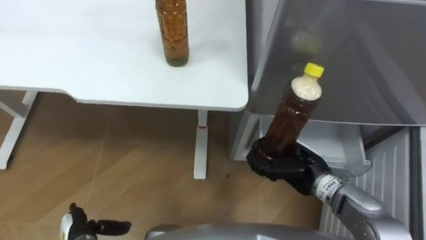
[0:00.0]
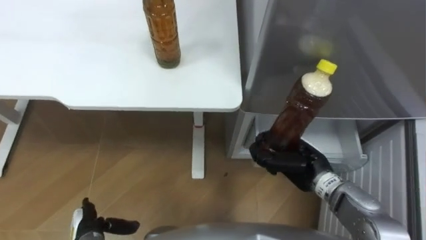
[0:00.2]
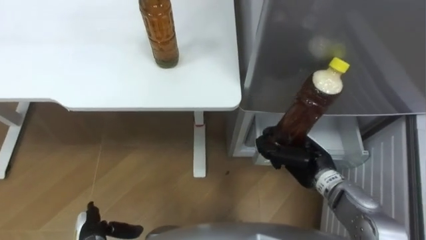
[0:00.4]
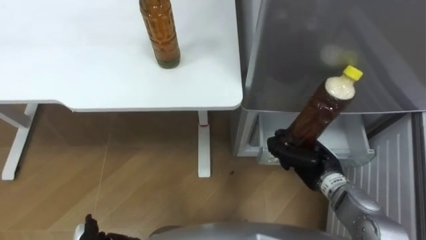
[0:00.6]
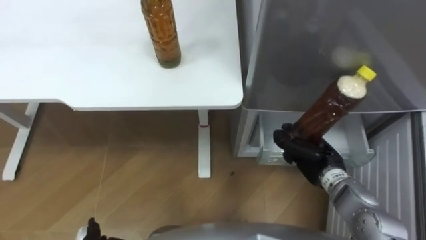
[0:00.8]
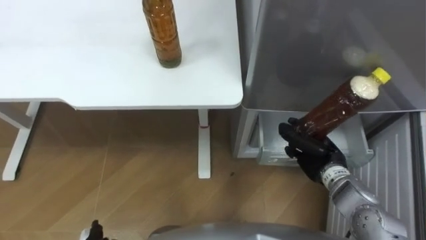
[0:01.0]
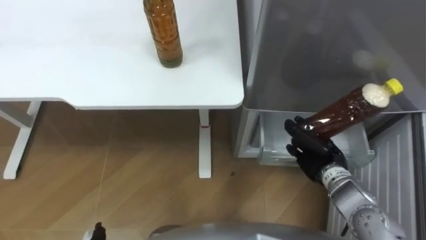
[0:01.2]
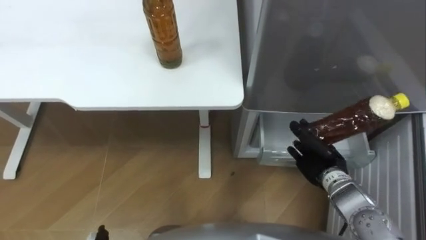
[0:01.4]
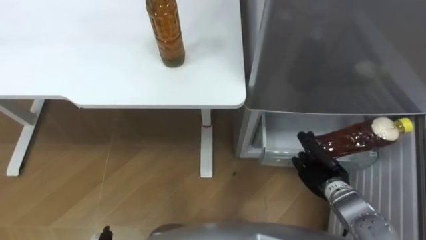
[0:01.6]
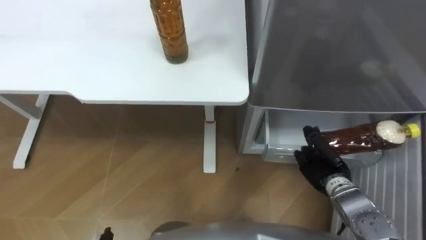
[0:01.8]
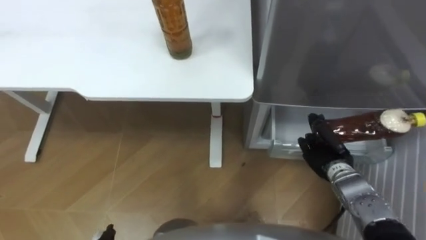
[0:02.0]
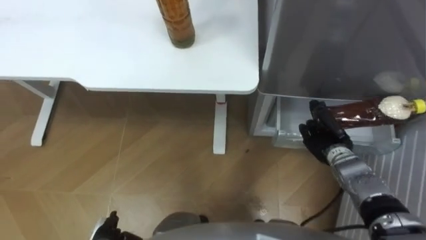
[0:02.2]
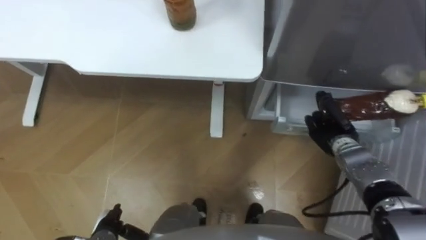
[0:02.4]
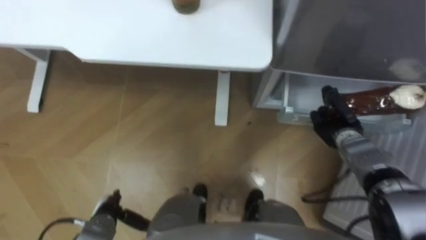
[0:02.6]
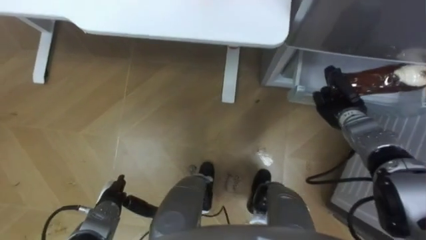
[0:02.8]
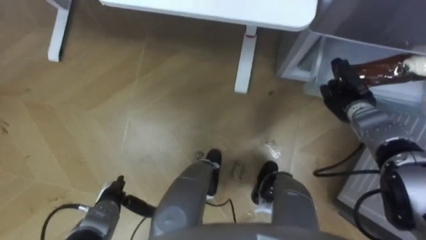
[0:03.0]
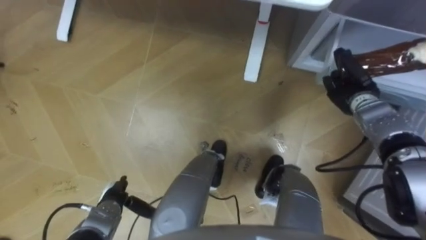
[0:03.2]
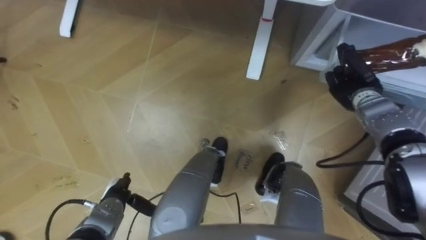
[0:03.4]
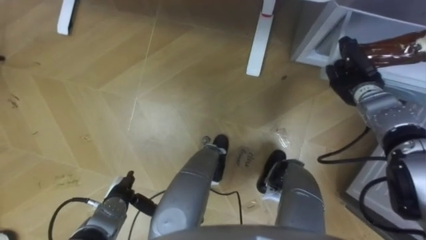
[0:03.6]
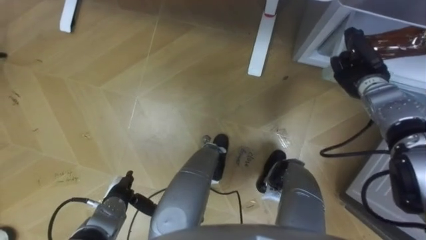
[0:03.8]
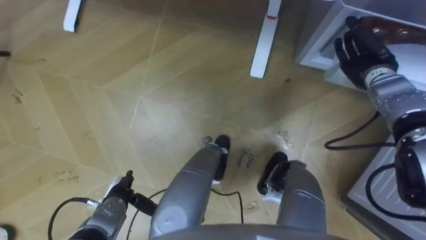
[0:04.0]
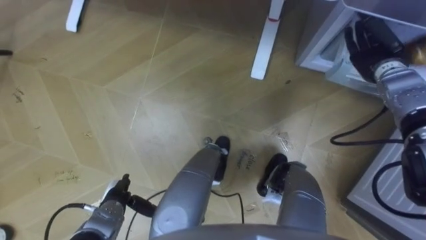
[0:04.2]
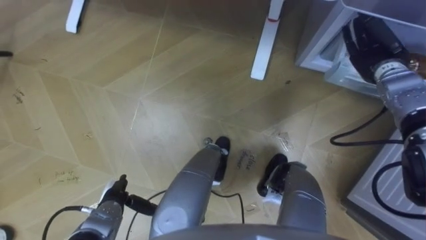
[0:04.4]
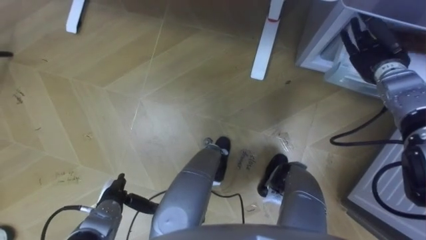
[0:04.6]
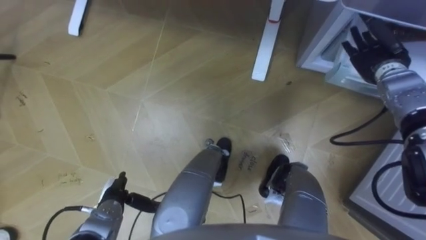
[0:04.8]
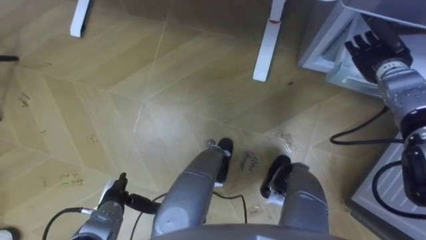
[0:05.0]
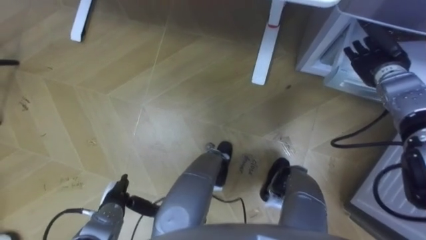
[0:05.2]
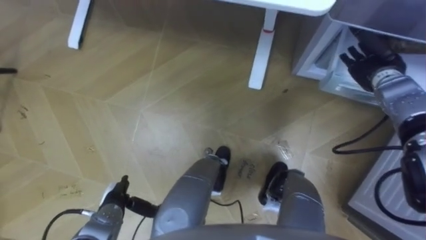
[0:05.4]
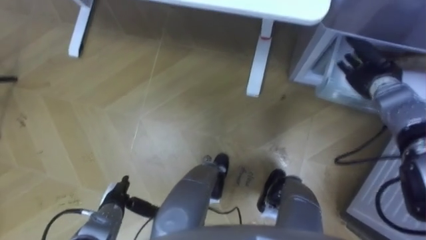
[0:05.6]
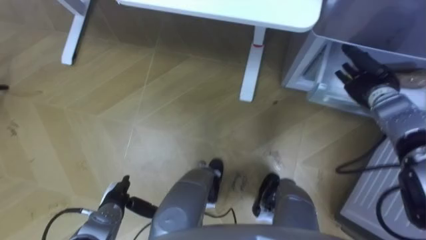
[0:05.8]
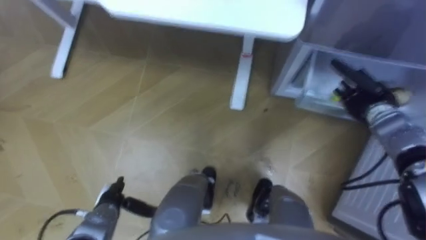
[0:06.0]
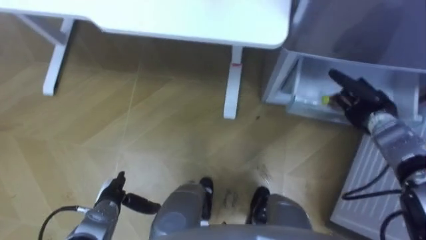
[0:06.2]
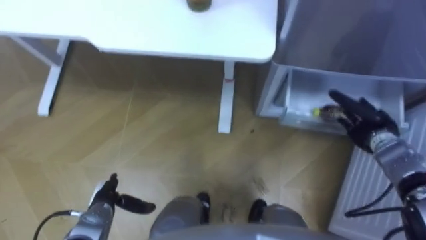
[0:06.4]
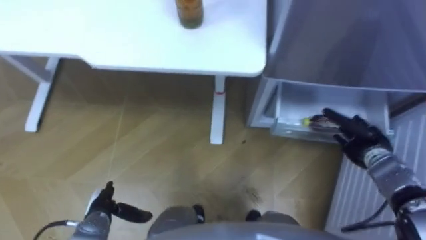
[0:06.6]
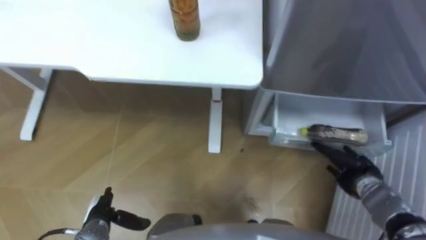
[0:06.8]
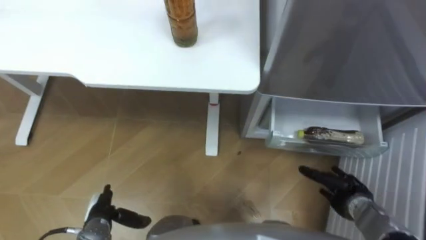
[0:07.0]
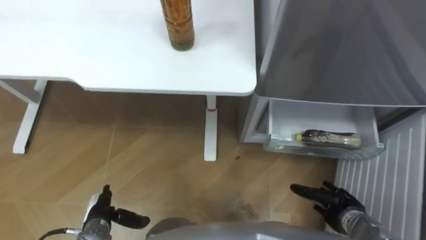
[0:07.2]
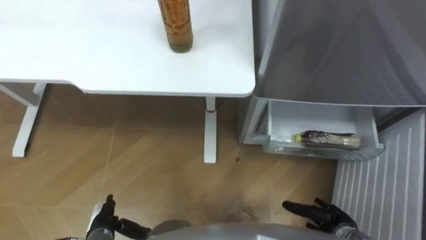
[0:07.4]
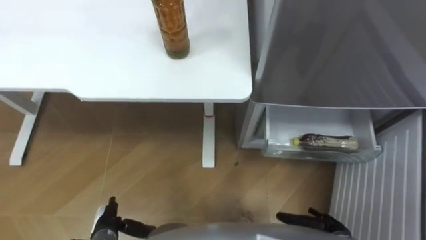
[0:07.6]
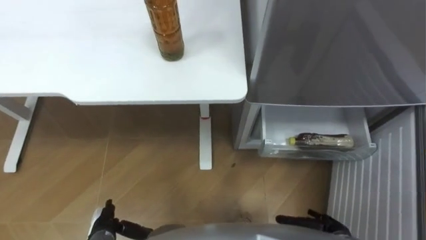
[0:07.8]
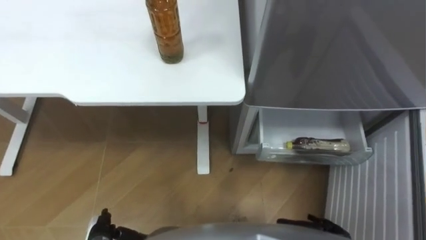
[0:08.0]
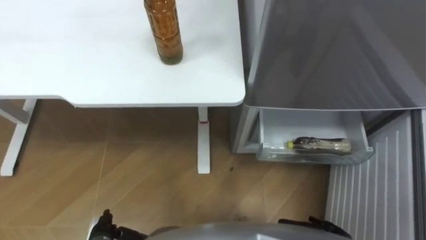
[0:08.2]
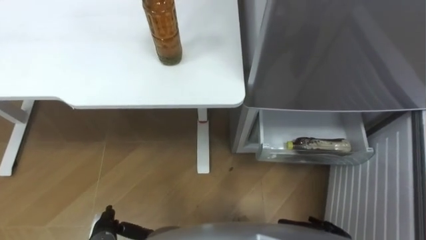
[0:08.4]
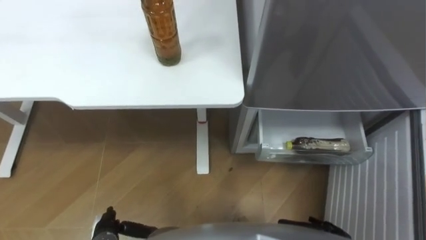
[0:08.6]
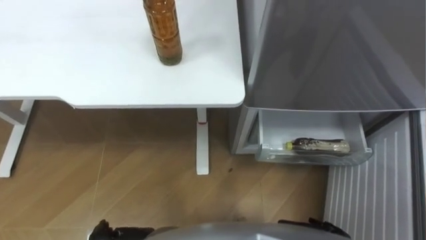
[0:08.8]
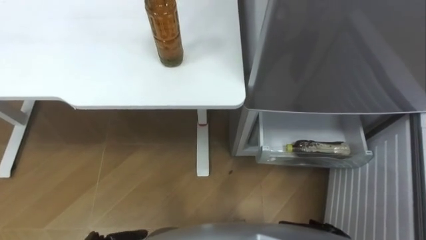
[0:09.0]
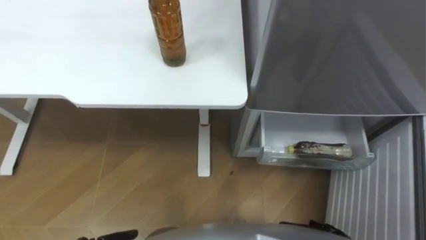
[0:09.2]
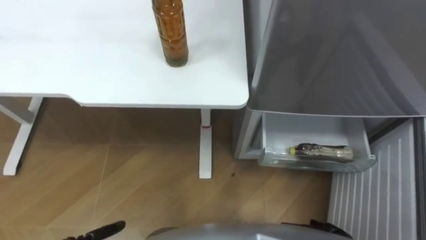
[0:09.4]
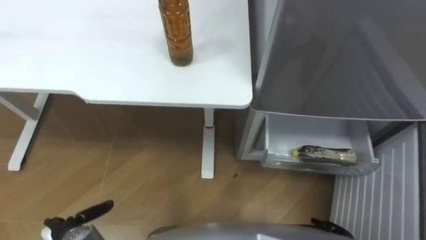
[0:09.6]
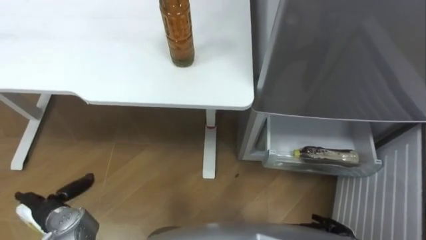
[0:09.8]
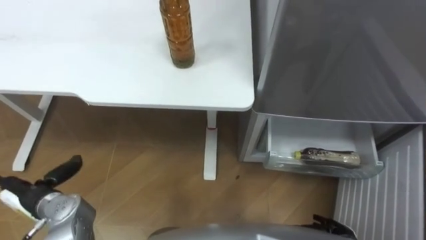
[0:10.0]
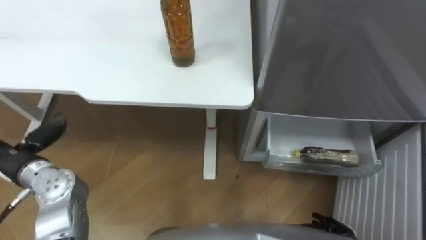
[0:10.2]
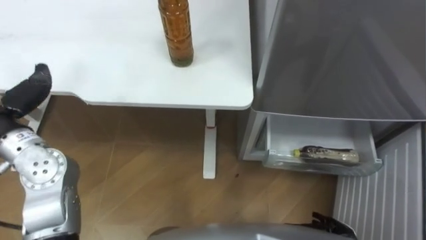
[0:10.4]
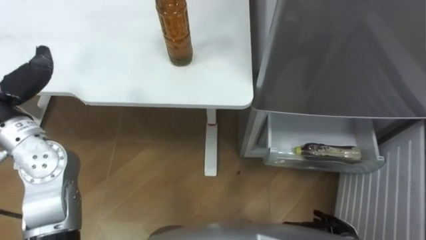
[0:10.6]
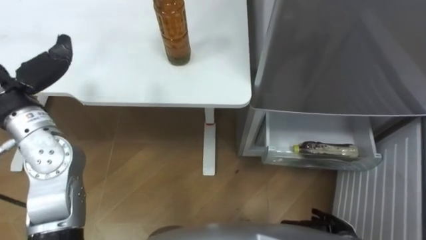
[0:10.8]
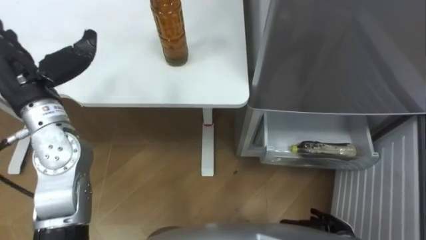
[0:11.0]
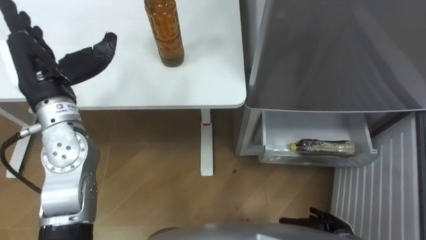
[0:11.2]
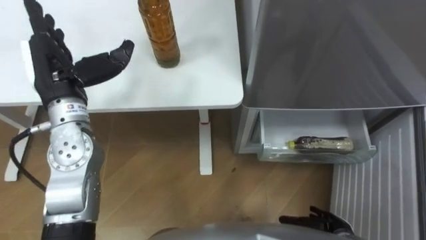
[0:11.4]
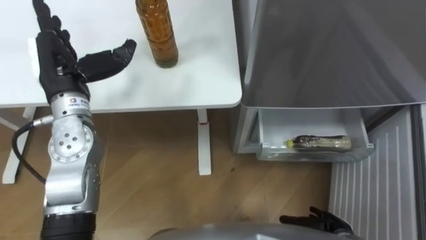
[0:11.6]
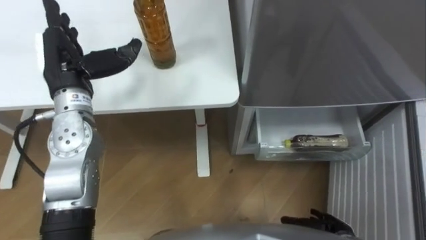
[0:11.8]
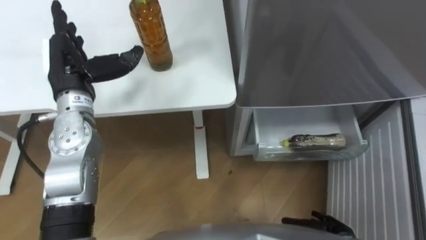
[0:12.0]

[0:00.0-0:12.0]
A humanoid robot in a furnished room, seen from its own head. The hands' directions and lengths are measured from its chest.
Task of the whole recording: Place the drink on the table on the bottom shelf of the refrigerator, then close the drawer and the refrigerator door.
0:00.0 to 0:01.6: The right hand is displaced to the right and downward by roughly 10 cm.
0:01.6 to 0:03.0: The right hand shifts about 15 cm forward.
0:03.0 to 0:04.4: The right hand shifts approximately 10 cm upward and forward, and opens.
0:04.4 to 0:06.0: The right hand moves downward and backward, about 10 cm, and opens.
0:06.0 to 0:07.6: The right hand is displaced backward and downward by about 30 cm.

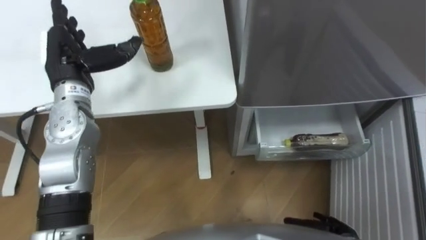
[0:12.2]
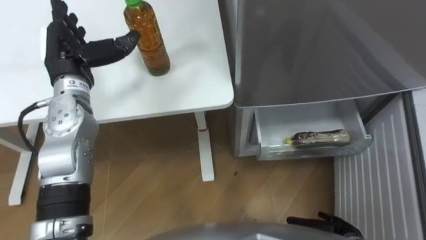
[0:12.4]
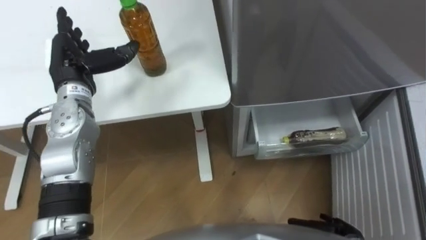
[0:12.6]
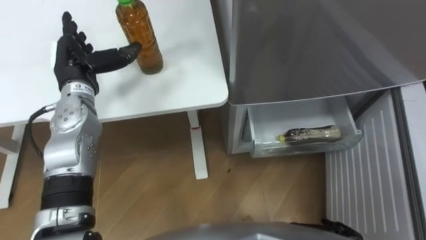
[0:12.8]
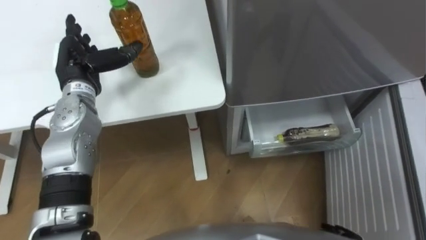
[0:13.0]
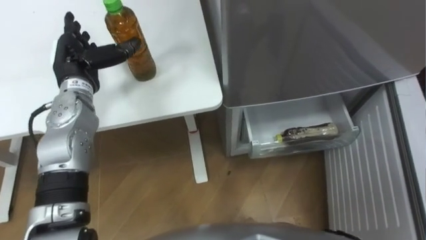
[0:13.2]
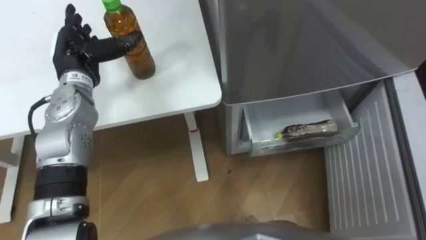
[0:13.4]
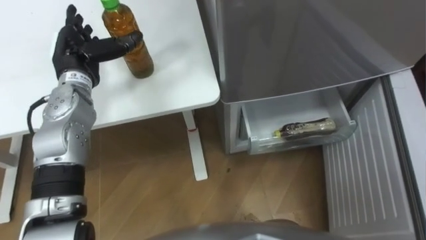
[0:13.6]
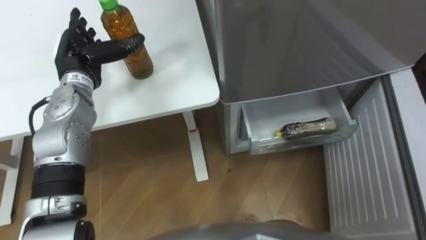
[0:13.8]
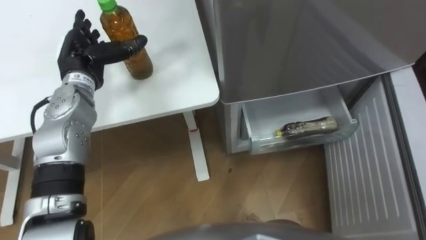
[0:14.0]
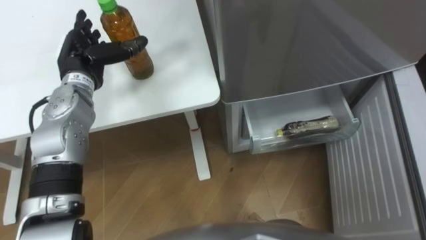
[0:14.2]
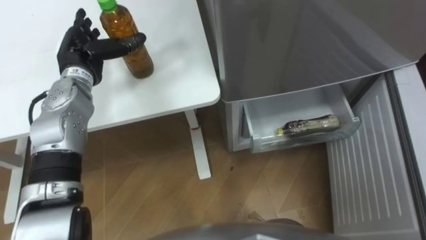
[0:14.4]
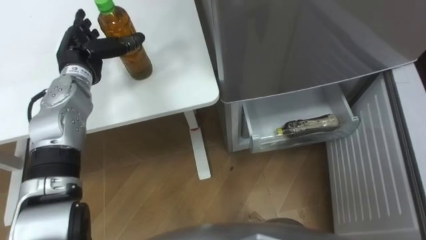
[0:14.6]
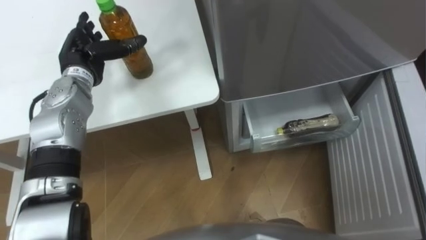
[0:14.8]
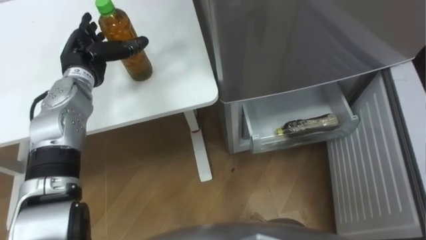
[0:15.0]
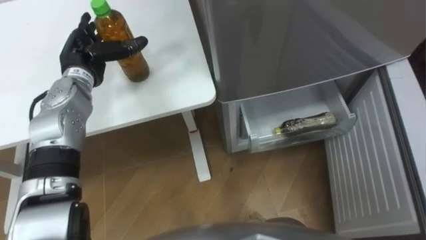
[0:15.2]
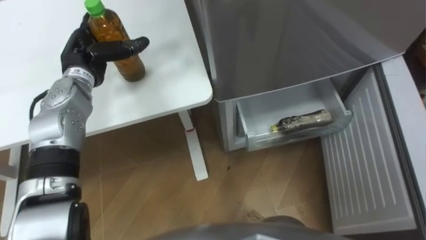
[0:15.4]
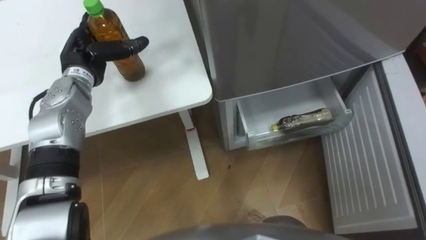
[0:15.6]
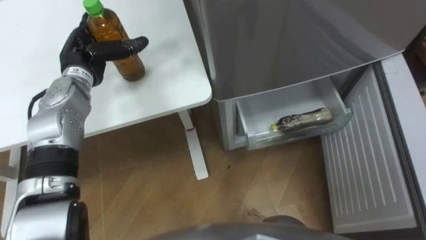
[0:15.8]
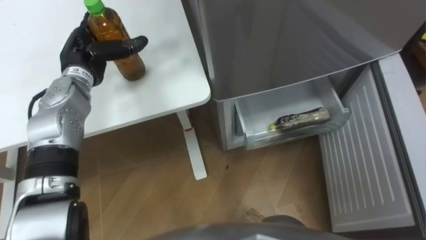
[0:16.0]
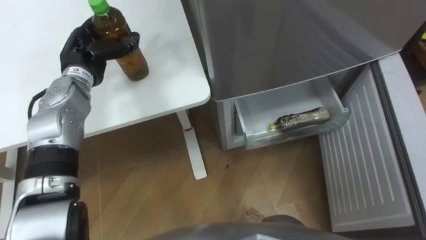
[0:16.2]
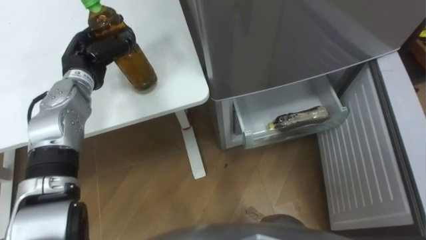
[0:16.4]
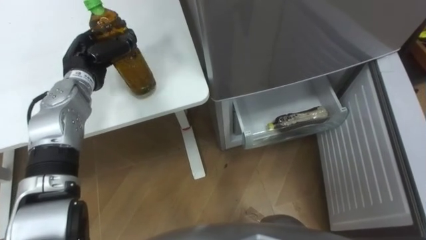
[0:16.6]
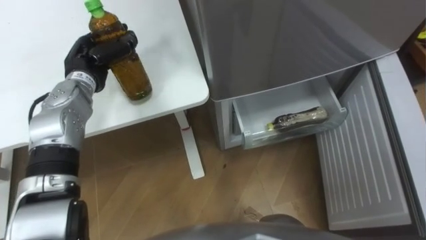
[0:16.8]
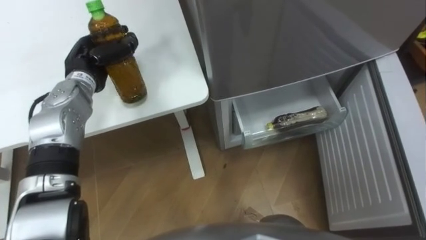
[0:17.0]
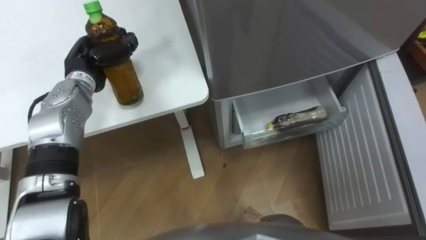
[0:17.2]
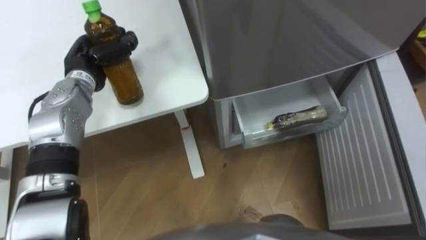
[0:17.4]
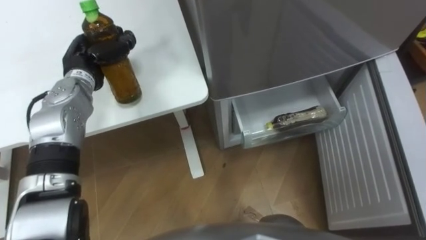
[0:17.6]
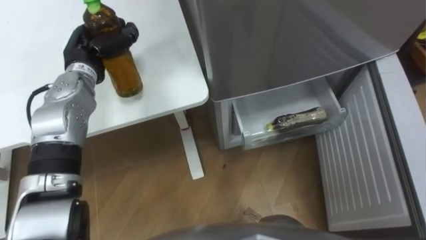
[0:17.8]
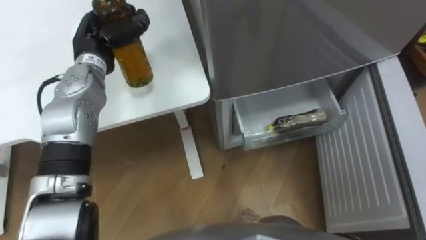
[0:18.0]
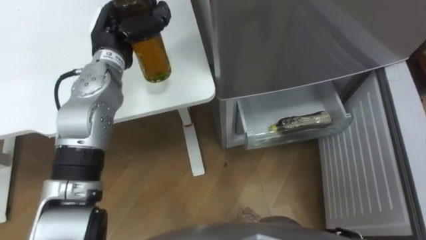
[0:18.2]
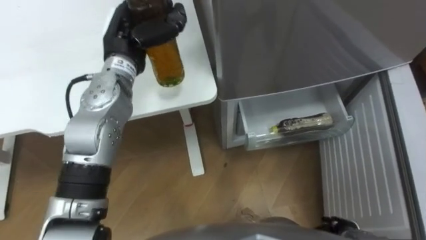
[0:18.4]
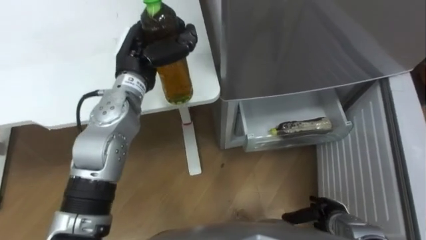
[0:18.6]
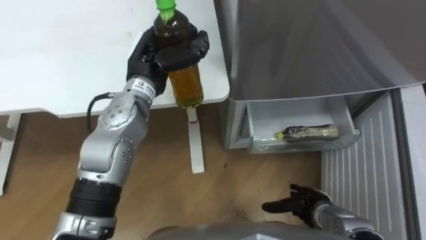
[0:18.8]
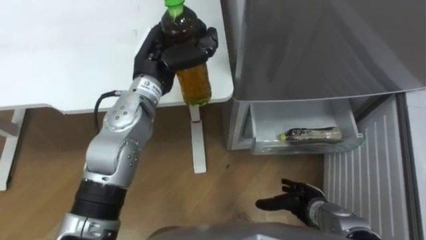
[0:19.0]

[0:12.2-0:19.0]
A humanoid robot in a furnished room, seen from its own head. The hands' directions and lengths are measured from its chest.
Task of the whole recording: Place the drink on the table on the bottom shelf of the refrigerator, then close the drawer and the refrigerator door.
0:16.2 to 0:17.6: The left hand closes.
0:17.6 to 0:19.0: The left hand shifts approximately 15 cm to the right.
